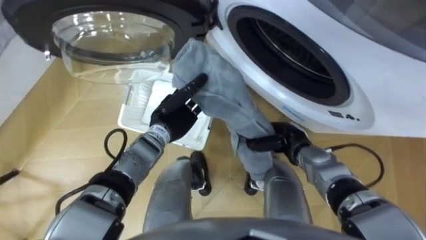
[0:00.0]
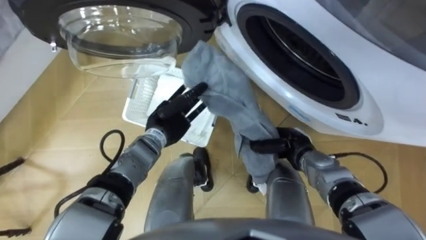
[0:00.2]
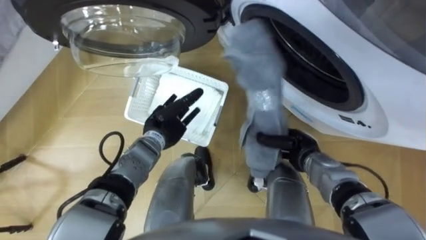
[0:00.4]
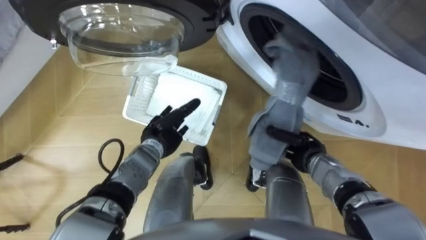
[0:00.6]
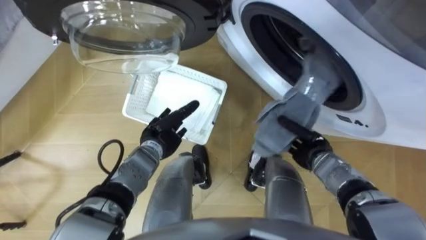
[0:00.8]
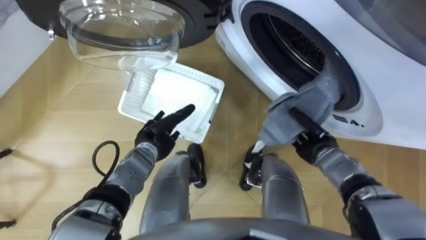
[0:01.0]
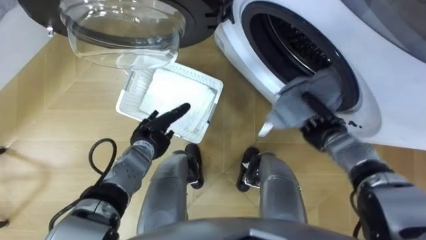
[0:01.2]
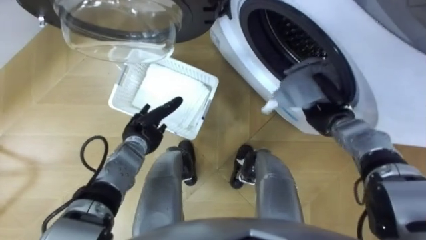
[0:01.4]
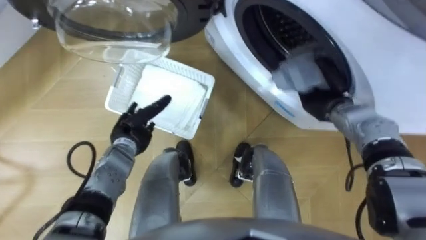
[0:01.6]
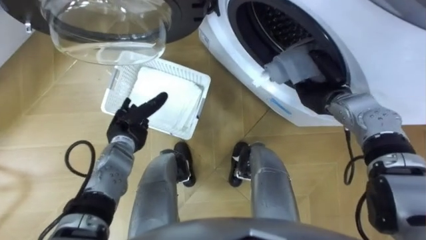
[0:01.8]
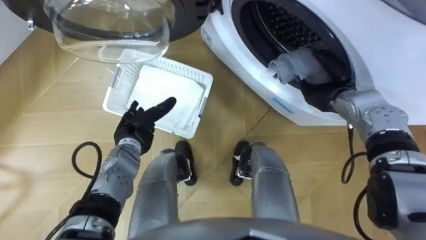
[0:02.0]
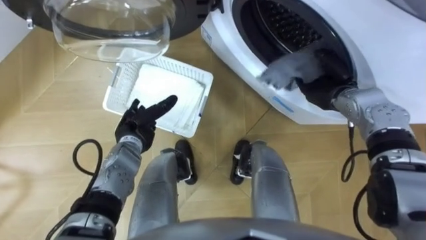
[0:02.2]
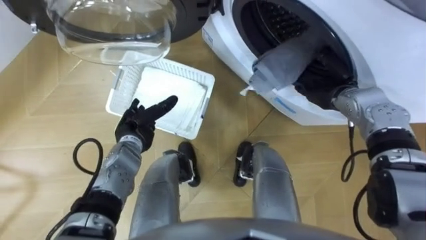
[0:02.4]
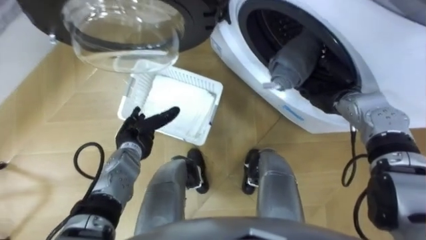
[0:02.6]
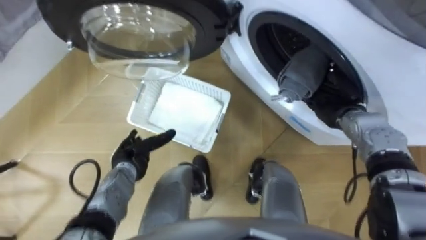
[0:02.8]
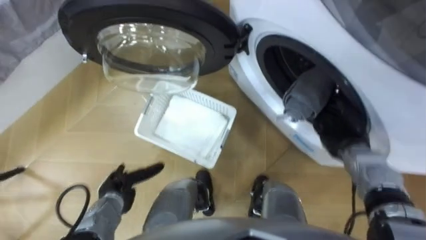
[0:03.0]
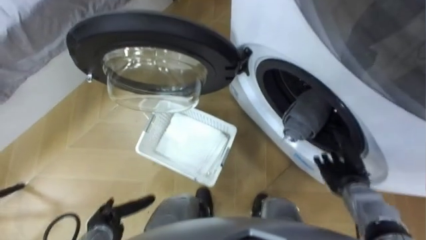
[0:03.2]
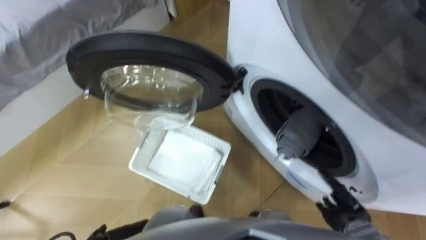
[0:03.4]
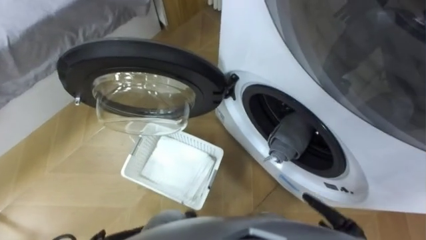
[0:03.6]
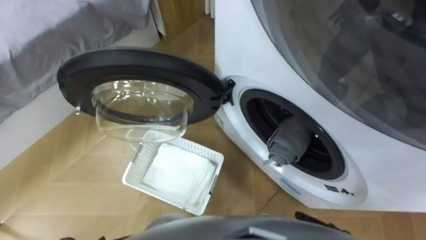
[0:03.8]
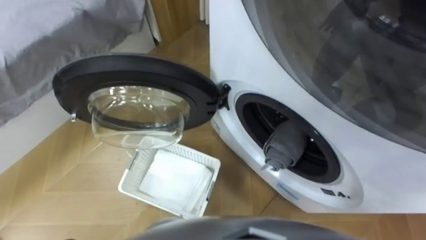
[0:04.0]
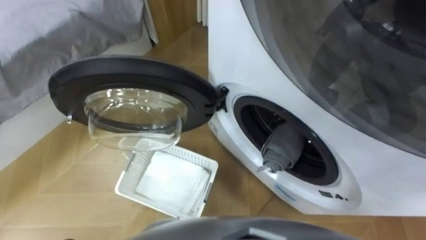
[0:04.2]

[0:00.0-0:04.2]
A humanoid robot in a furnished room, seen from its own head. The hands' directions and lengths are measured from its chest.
Task of the whole recording: Take the towel from the basket and put it into the washing machine.
0:00.0 to 0:01.4: The right hand travels to the right and forward by approximately 10 cm. Meanwhile the left hand shifts some 5 cm to the left, and opens its fingers.
0:01.4 to 0:02.8: The left hand heads backward, covering some 5 cm. The right hand opens its fingers.

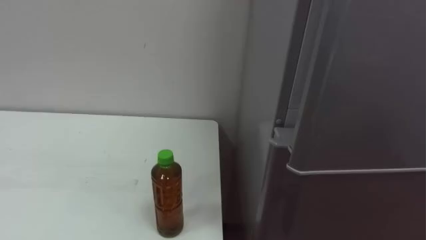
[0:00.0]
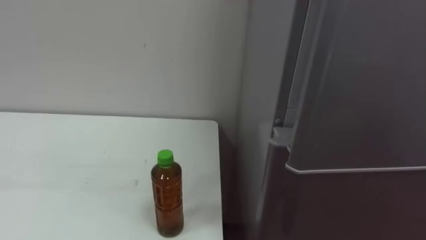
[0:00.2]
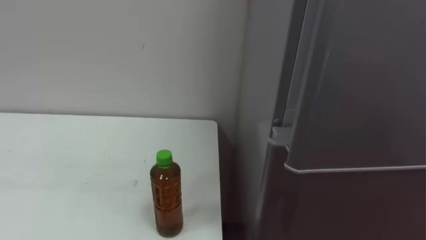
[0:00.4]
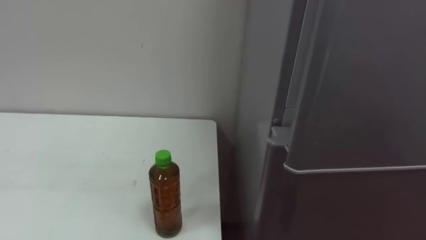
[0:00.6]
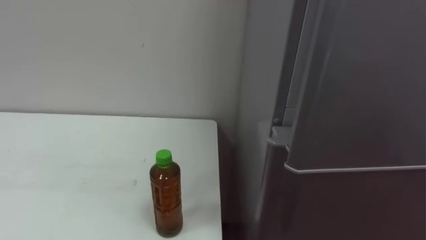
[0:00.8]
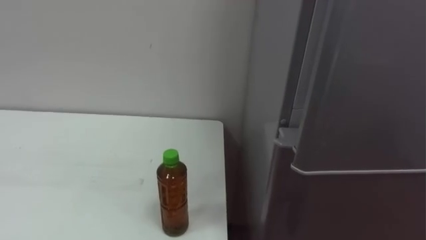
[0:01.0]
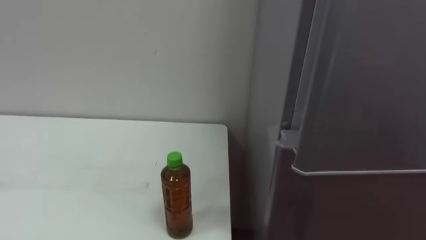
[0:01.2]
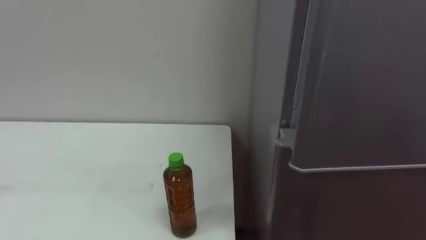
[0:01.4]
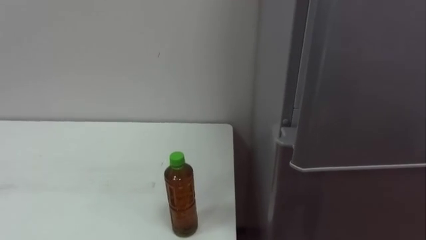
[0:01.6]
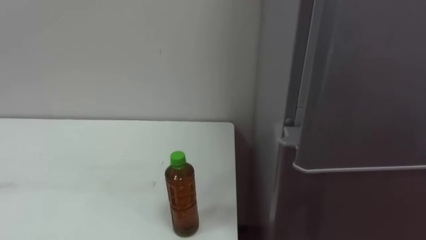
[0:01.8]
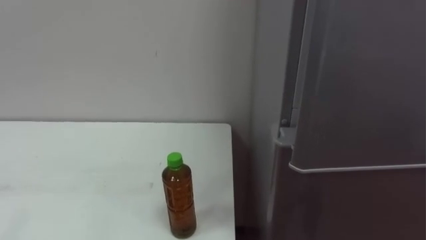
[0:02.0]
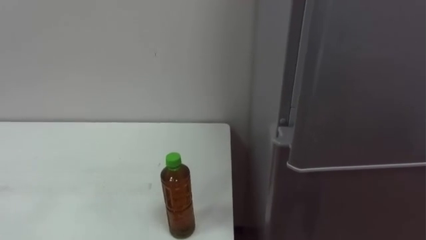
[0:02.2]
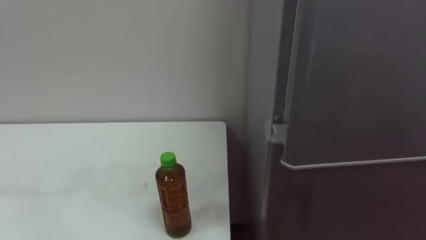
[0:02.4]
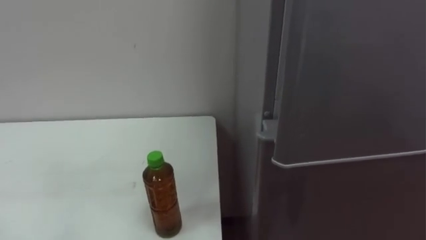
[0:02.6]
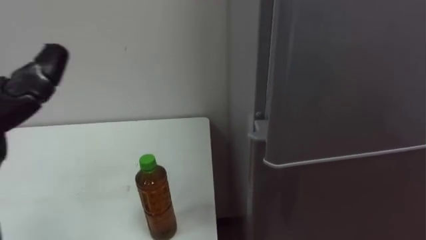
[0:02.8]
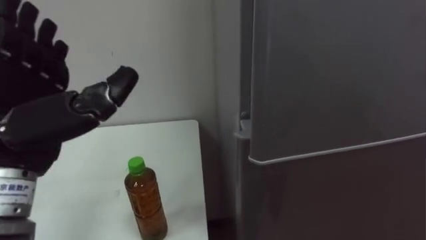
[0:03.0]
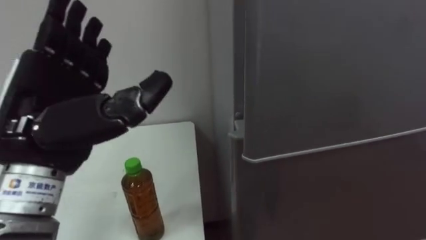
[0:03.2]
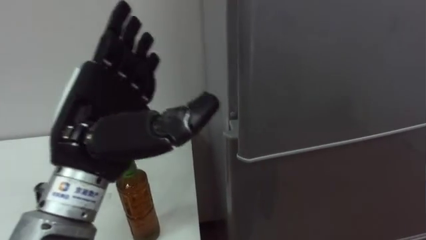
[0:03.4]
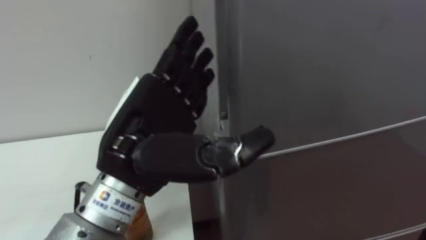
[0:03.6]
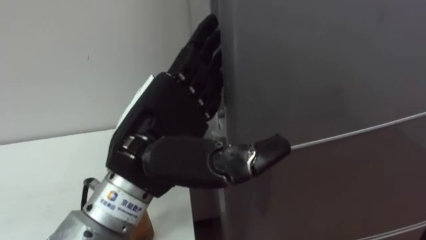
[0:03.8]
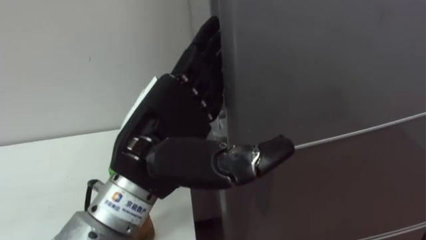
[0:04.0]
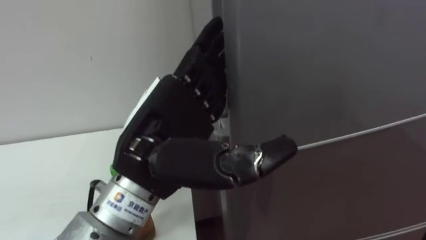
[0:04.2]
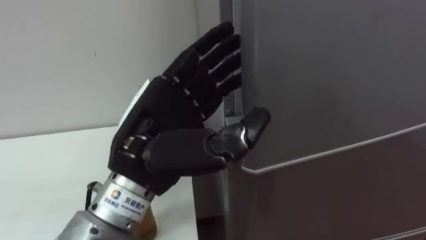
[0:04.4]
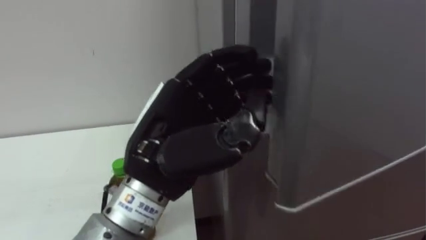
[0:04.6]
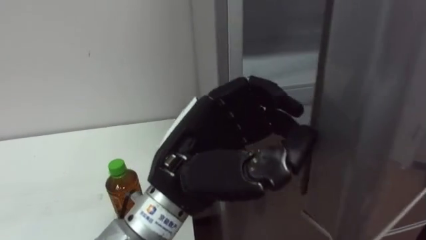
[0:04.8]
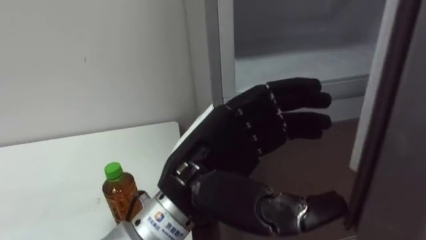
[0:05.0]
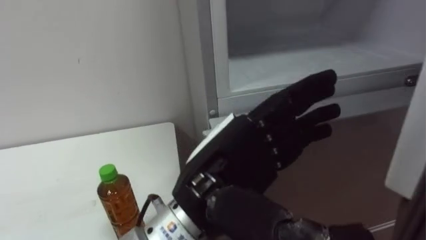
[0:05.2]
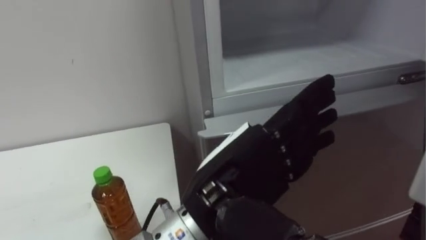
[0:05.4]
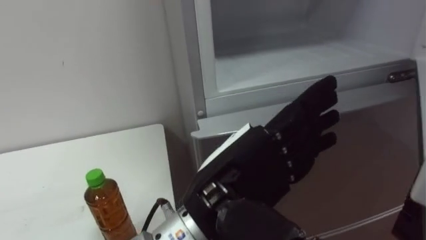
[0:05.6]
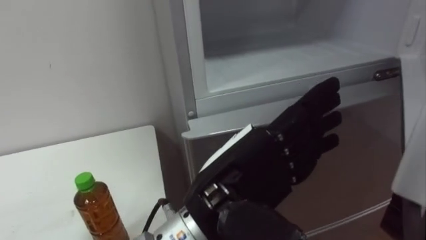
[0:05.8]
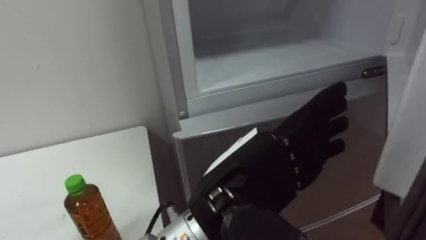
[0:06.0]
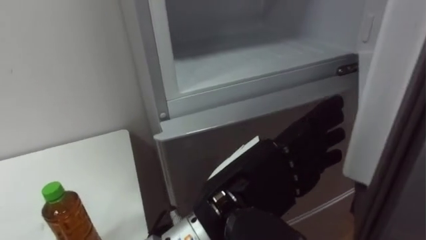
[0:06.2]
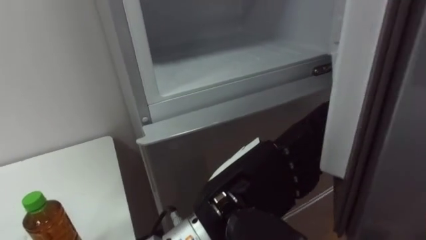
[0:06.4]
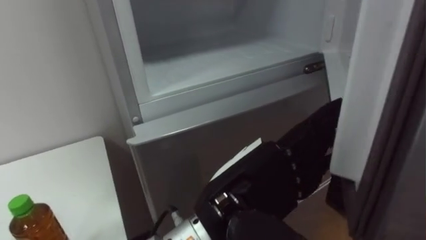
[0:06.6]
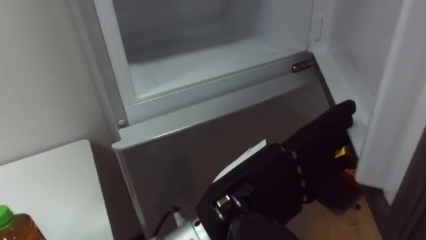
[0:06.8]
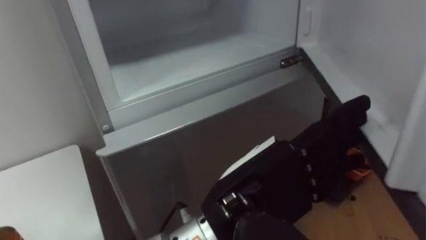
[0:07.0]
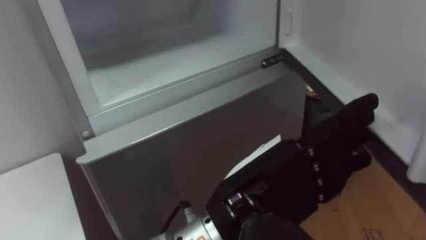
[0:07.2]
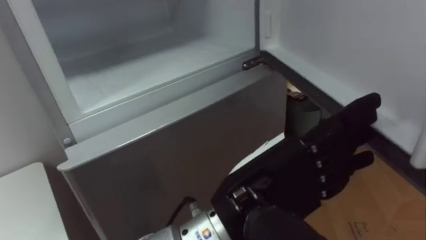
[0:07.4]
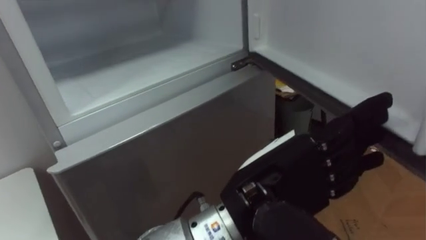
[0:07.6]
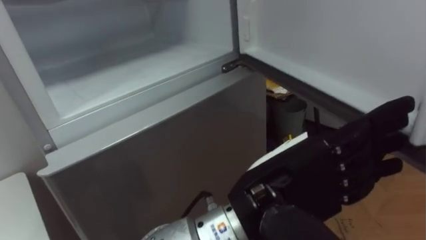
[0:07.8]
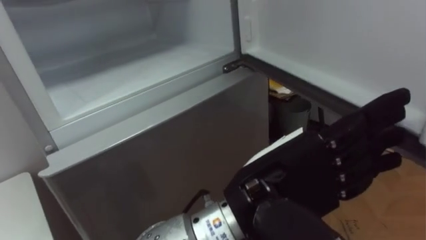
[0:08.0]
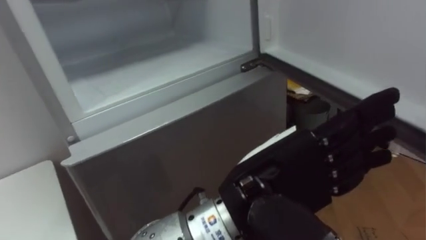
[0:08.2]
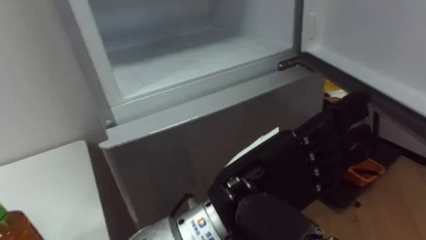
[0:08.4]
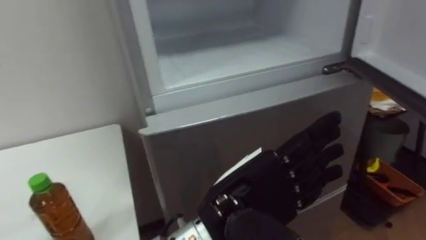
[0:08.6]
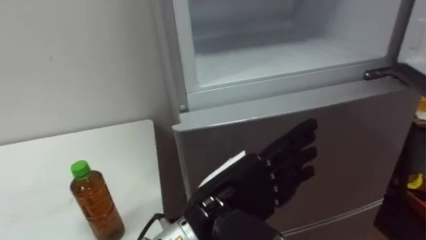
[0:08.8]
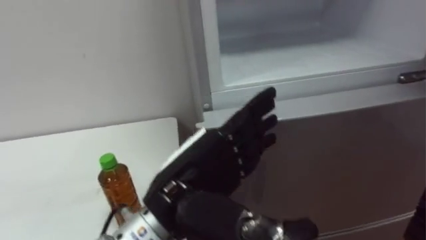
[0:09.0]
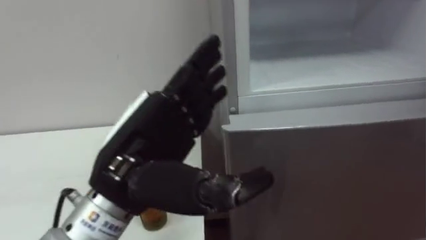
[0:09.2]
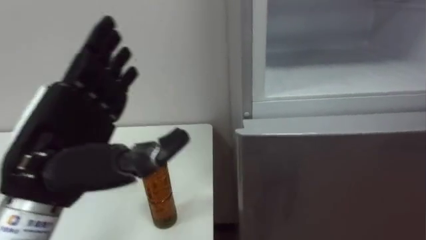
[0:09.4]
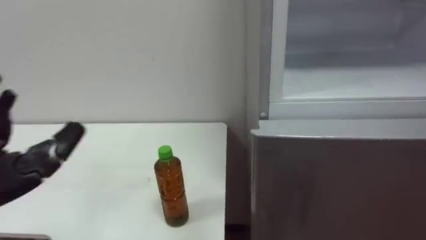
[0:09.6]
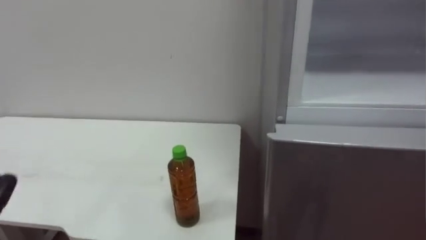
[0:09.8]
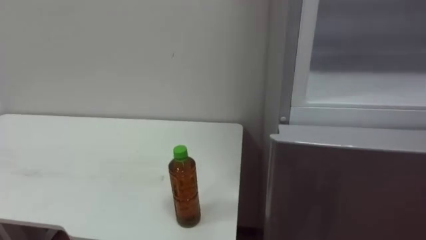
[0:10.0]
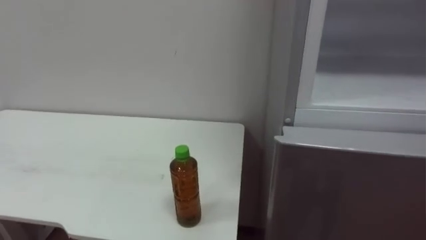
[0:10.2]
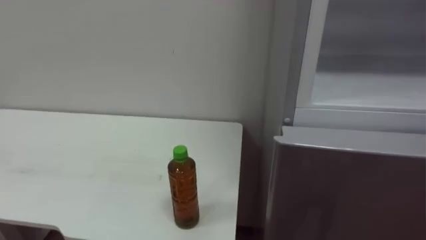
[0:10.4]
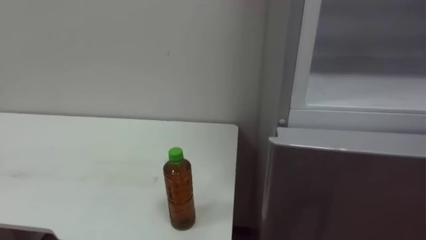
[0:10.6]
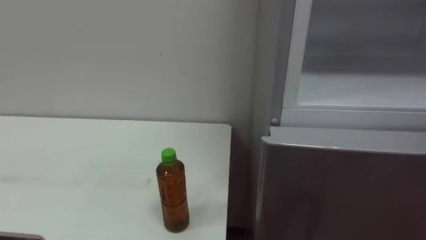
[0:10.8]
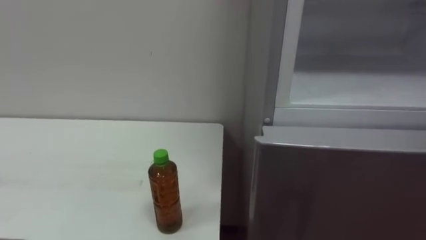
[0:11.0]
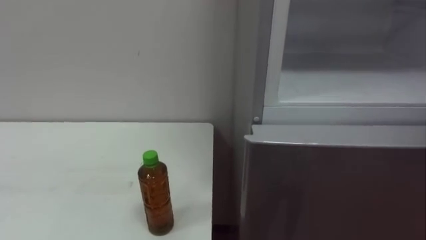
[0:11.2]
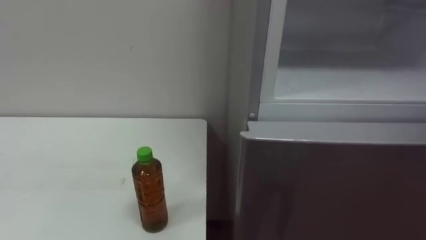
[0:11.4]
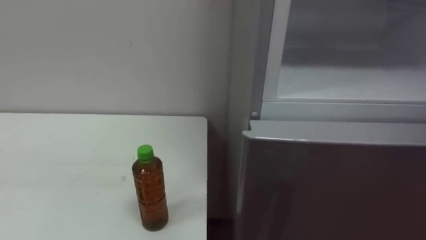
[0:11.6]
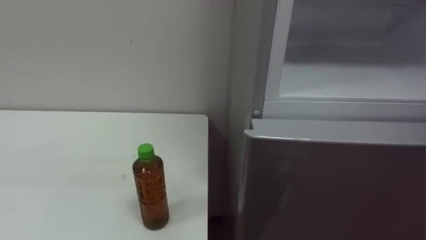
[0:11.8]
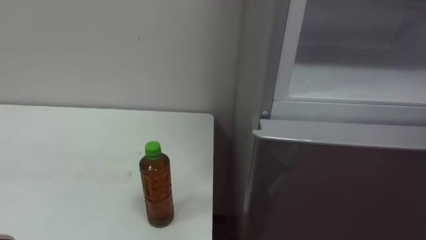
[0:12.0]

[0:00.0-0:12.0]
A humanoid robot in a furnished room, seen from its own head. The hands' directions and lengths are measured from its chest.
Task of the whole recording: Open the upper refrigerator door, put the drink from the table into the refrigerator, and then close the refrigerator door.
0:03.0 to 0:04.4: The left hand goes roughly 15 cm to the right.
0:04.4 to 0:06.0: The left hand moves to the right, about 10 cm, and closes and opens again.
0:07.6 to 0:09.0: The left hand is displaced to the left by roughly 10 cm.
